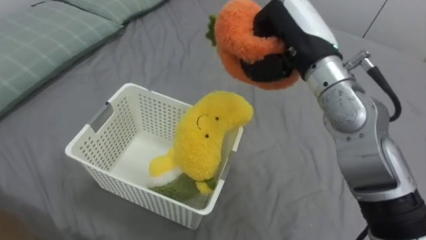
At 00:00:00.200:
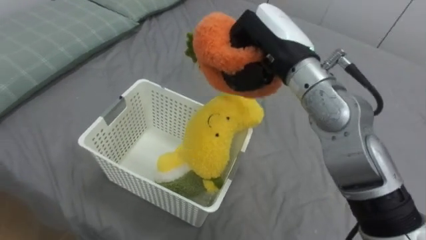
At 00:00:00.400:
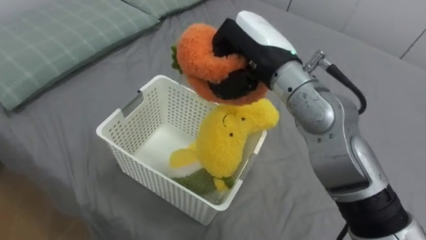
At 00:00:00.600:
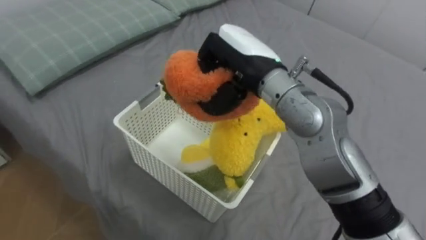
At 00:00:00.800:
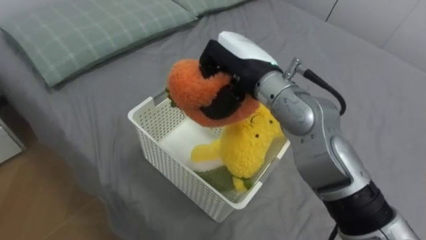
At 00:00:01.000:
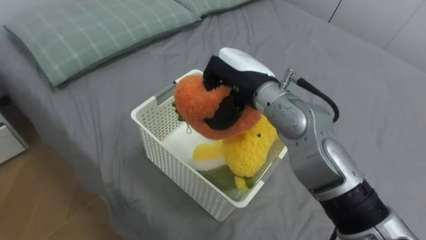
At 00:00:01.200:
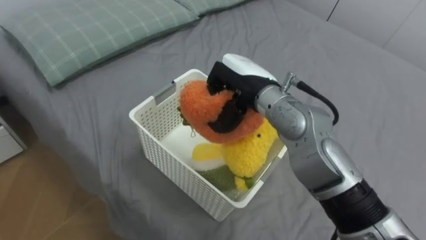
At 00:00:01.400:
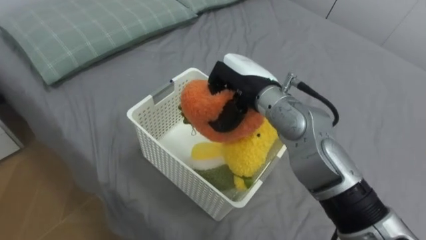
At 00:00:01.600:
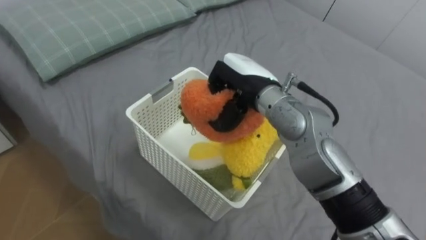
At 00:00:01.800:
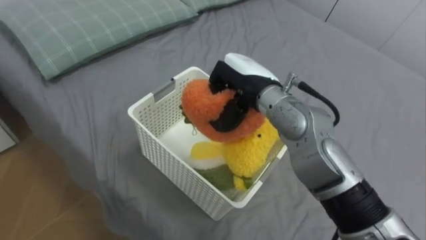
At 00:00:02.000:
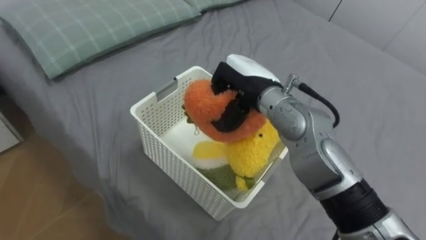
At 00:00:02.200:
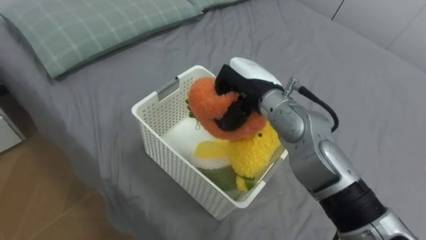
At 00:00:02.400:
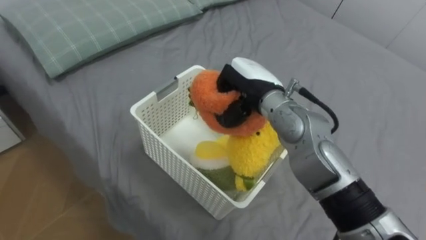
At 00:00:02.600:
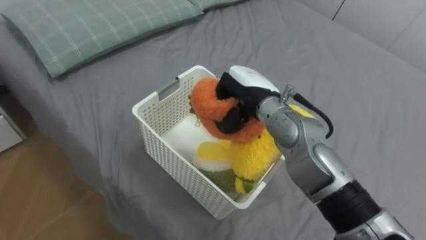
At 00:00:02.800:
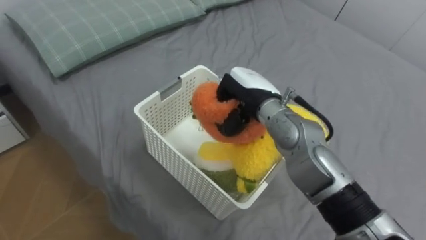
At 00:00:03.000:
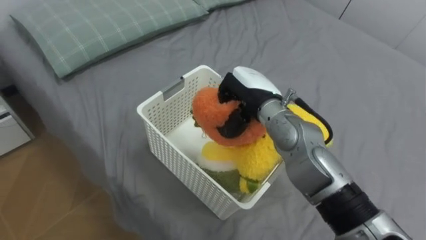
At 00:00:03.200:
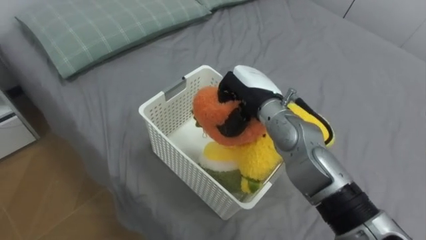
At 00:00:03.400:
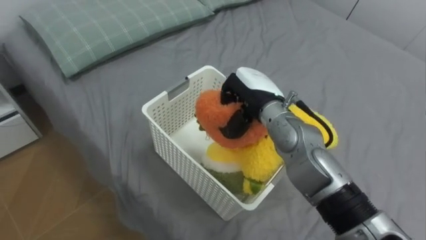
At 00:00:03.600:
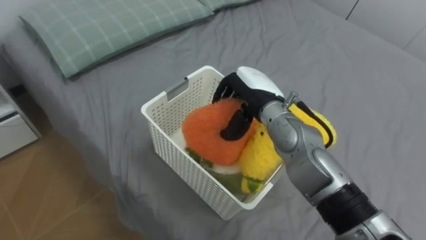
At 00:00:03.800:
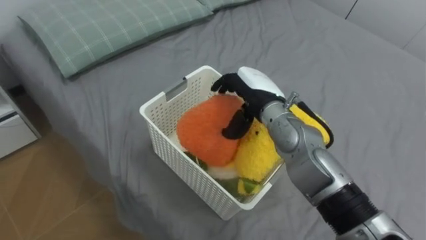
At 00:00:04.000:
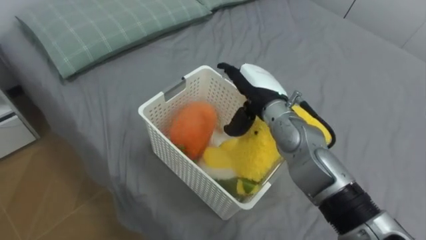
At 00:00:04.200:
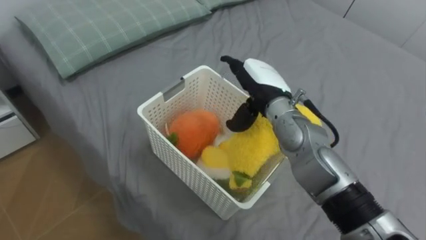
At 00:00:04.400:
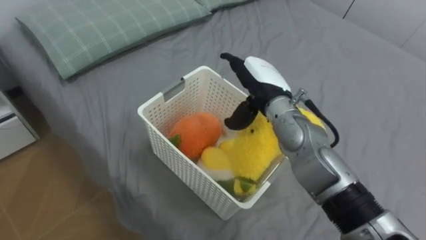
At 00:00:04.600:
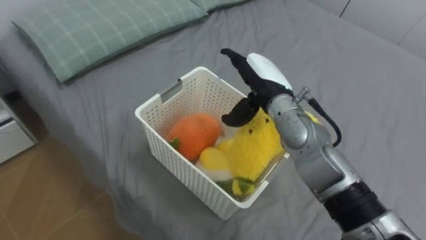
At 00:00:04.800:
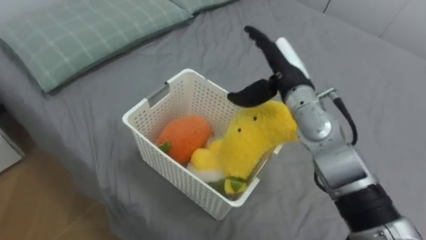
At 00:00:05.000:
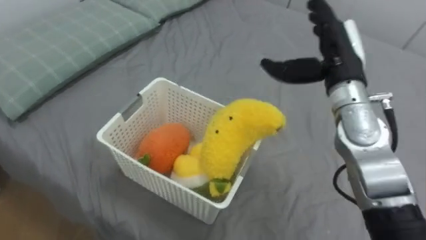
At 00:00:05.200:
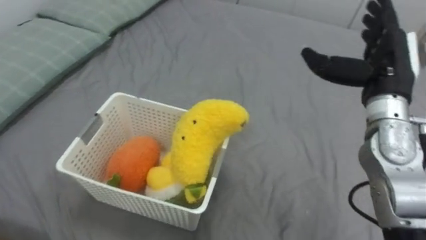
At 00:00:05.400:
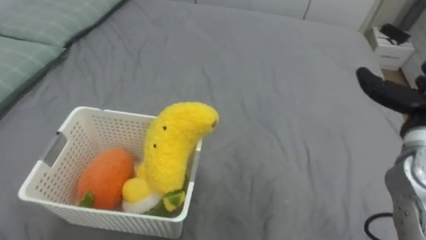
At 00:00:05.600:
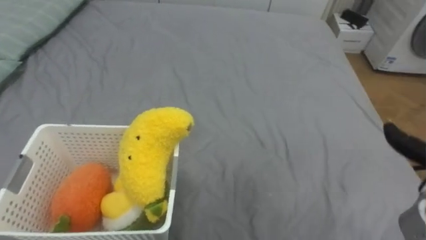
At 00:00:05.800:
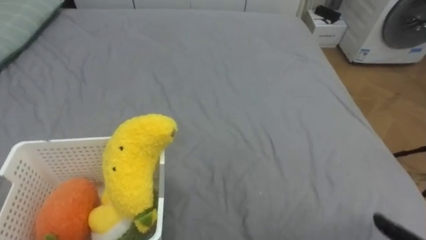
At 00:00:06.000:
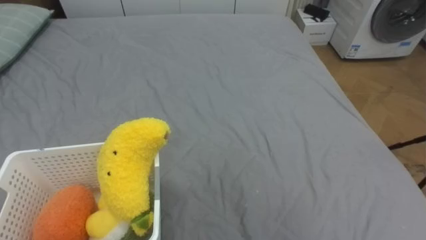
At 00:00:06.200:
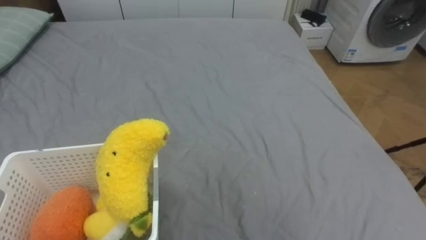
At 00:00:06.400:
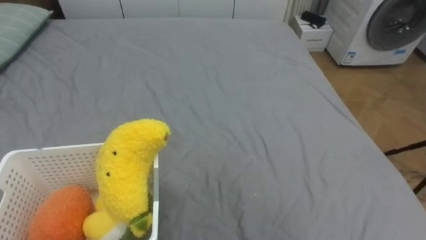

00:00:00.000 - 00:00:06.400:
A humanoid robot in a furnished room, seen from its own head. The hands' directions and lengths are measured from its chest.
Task of the whole recording: Put the toys on the bed into the basket on the left.
00:00:00.000 - 00:00:01.600: The right hand is displaced downward and to the left by roughly 10 cm.
00:00:03.200 - 00:00:04.800: The right hand travels to the right by about 5 cm, and opens its fingers.

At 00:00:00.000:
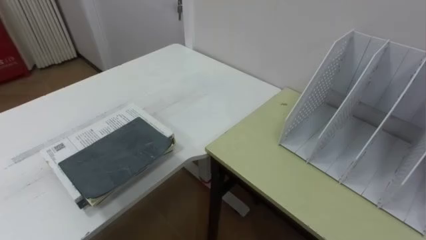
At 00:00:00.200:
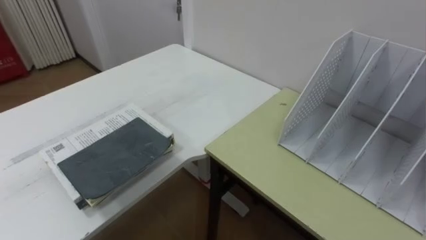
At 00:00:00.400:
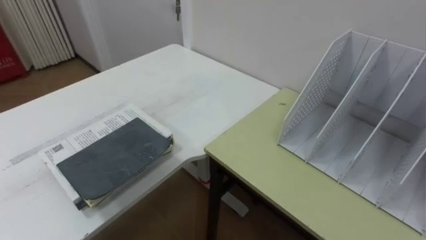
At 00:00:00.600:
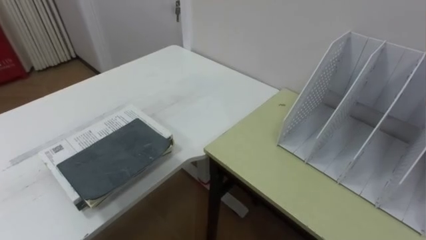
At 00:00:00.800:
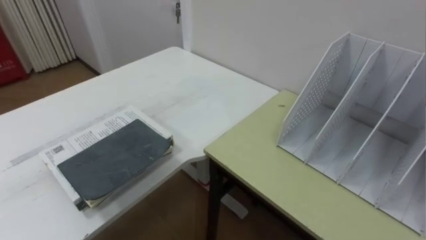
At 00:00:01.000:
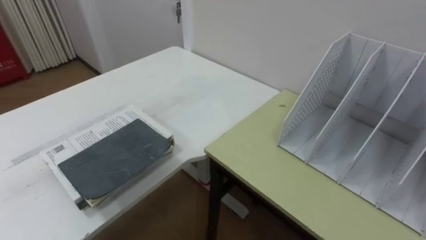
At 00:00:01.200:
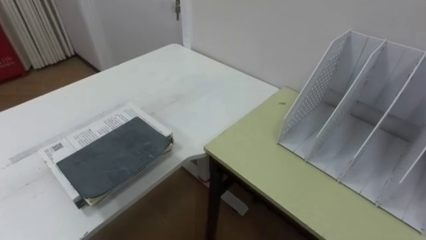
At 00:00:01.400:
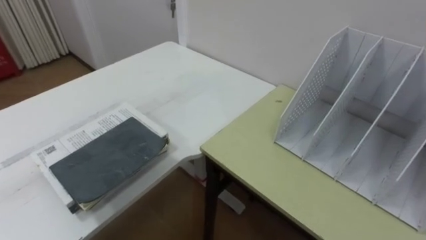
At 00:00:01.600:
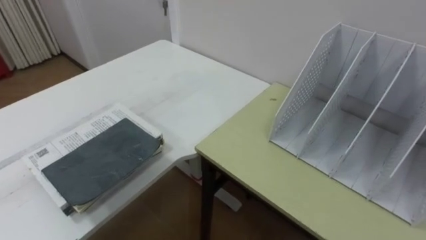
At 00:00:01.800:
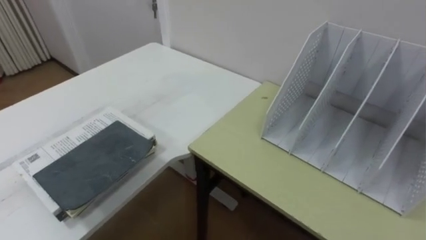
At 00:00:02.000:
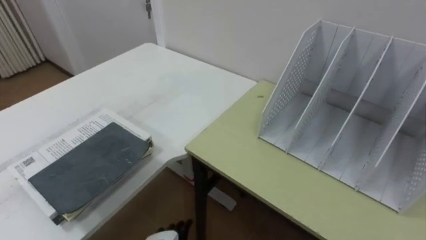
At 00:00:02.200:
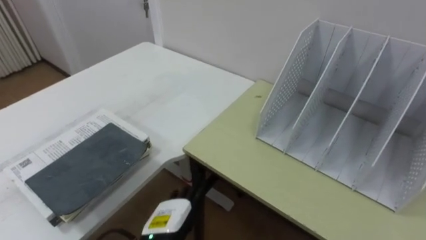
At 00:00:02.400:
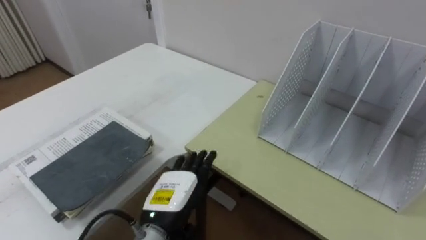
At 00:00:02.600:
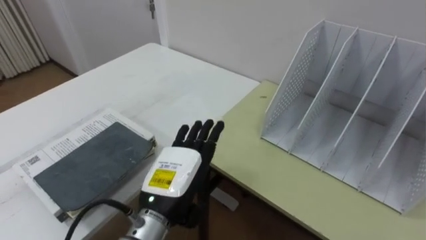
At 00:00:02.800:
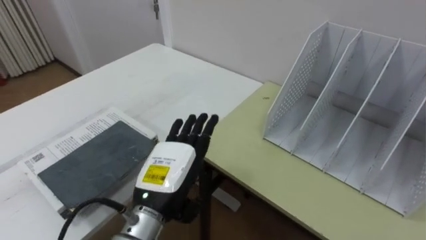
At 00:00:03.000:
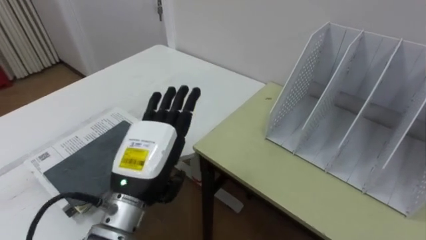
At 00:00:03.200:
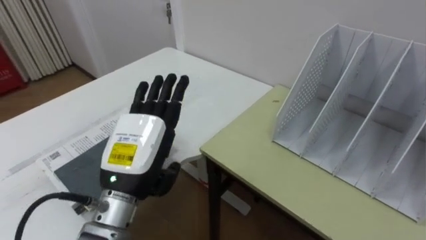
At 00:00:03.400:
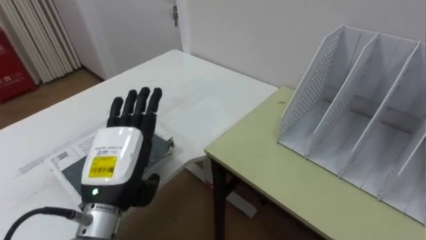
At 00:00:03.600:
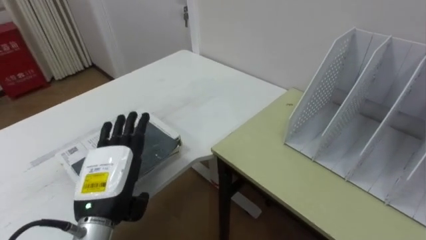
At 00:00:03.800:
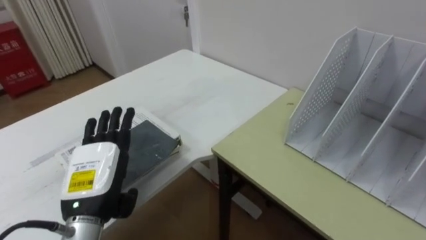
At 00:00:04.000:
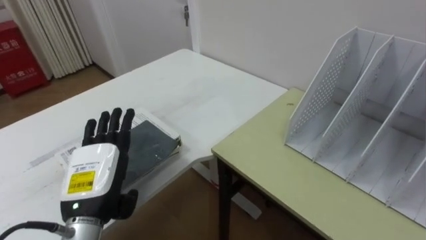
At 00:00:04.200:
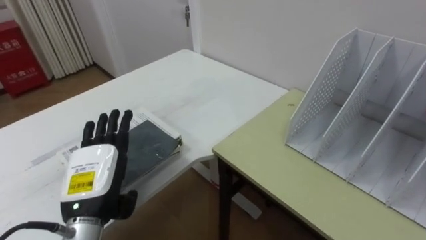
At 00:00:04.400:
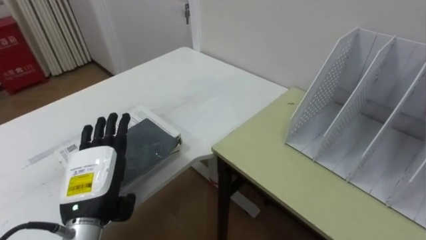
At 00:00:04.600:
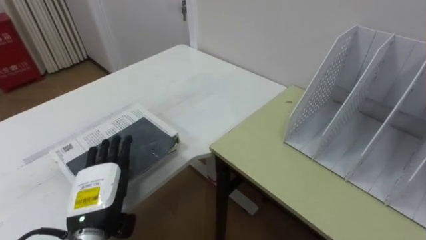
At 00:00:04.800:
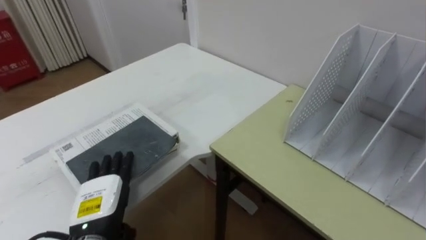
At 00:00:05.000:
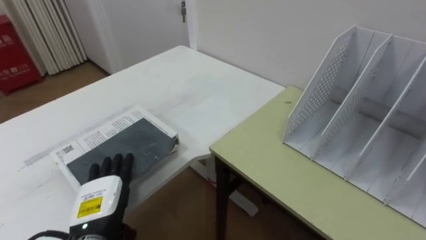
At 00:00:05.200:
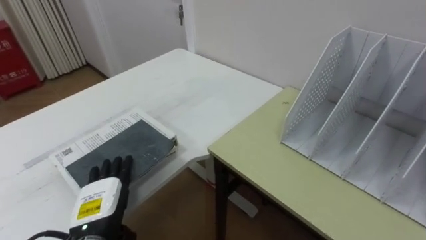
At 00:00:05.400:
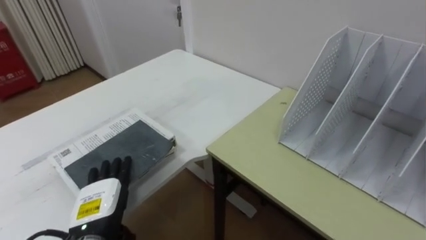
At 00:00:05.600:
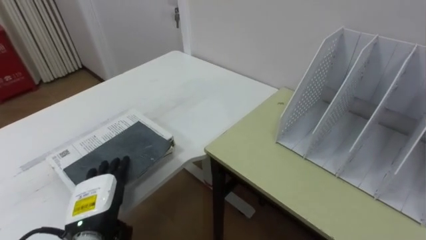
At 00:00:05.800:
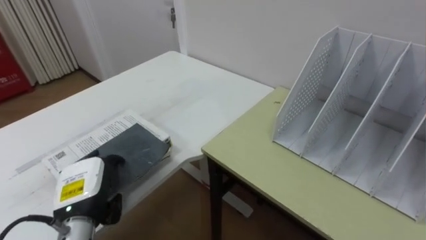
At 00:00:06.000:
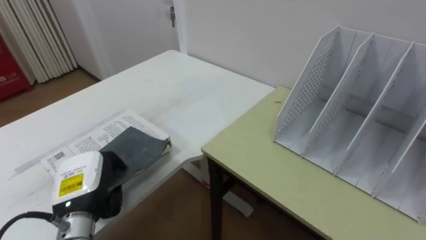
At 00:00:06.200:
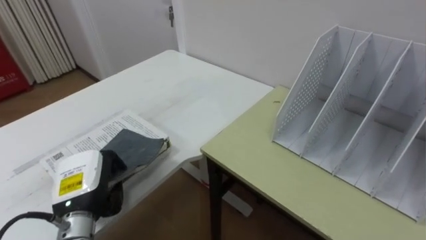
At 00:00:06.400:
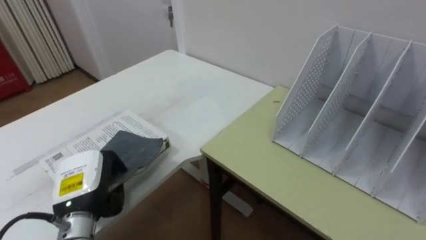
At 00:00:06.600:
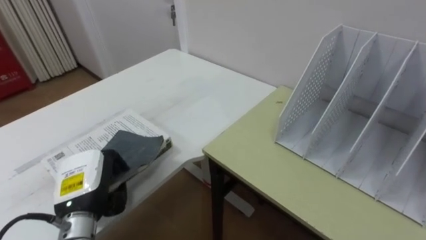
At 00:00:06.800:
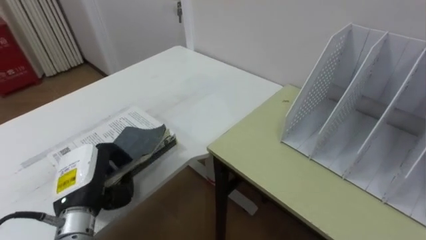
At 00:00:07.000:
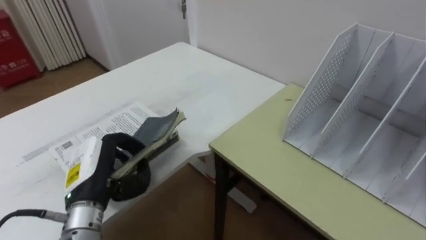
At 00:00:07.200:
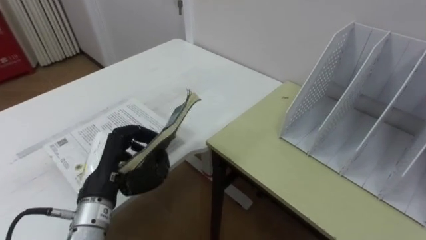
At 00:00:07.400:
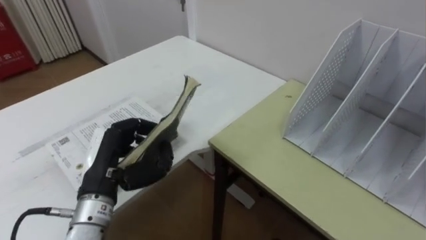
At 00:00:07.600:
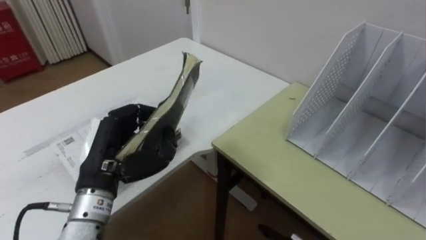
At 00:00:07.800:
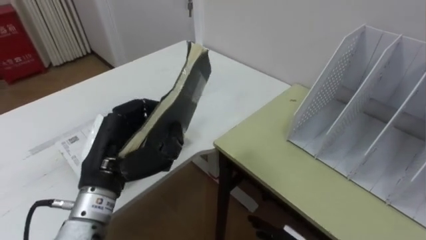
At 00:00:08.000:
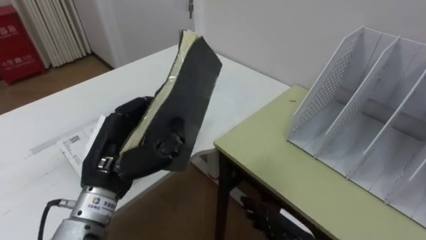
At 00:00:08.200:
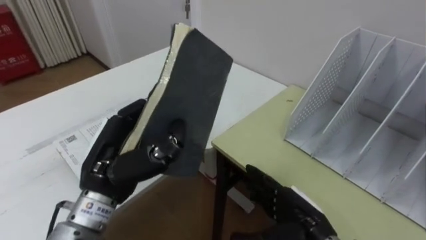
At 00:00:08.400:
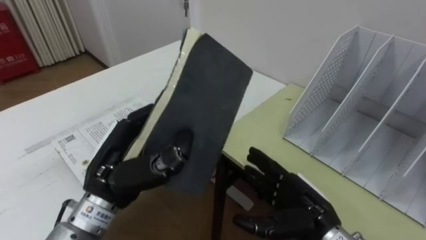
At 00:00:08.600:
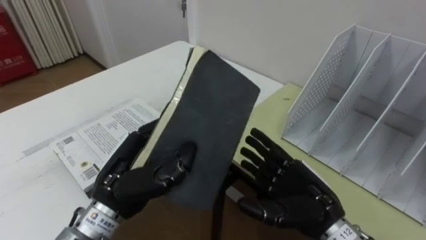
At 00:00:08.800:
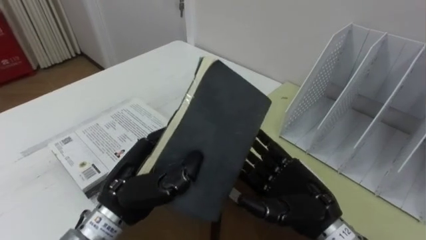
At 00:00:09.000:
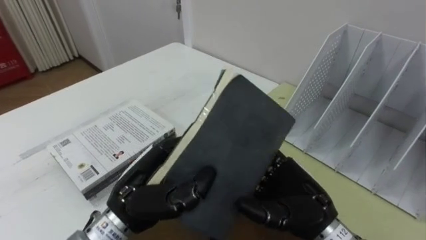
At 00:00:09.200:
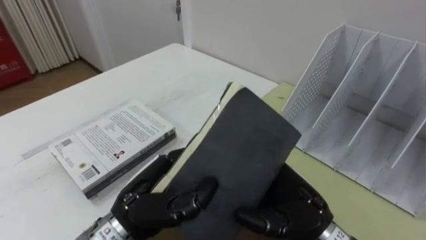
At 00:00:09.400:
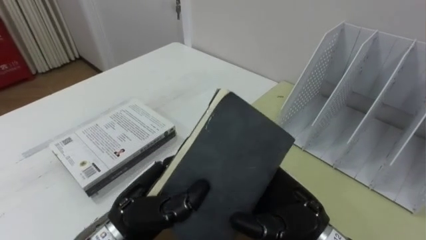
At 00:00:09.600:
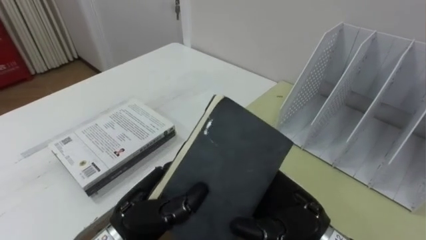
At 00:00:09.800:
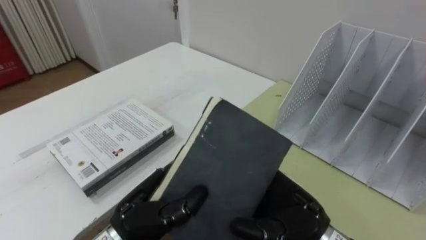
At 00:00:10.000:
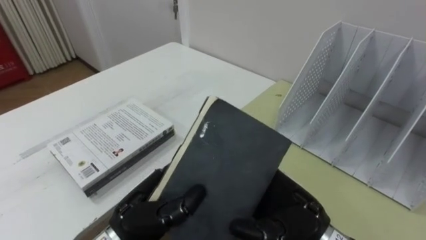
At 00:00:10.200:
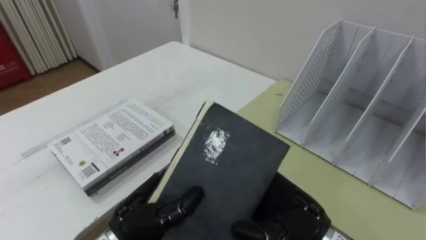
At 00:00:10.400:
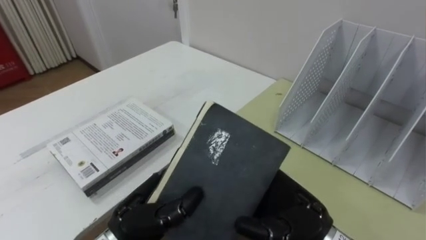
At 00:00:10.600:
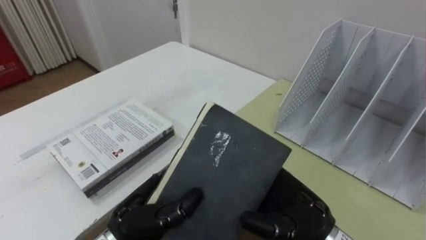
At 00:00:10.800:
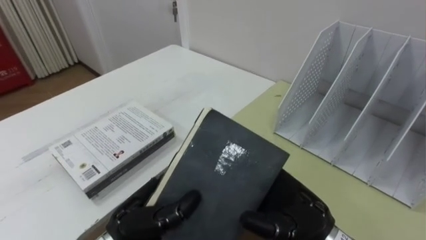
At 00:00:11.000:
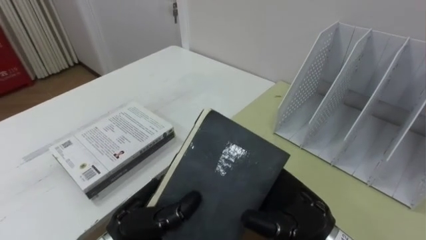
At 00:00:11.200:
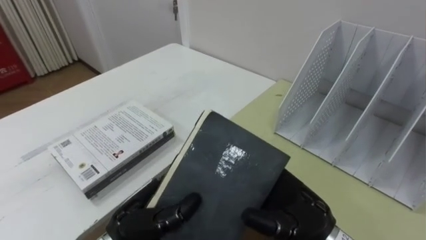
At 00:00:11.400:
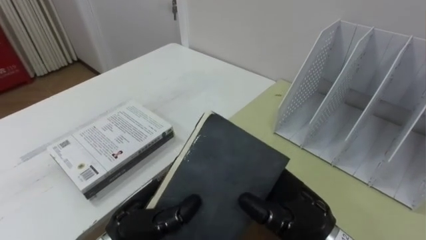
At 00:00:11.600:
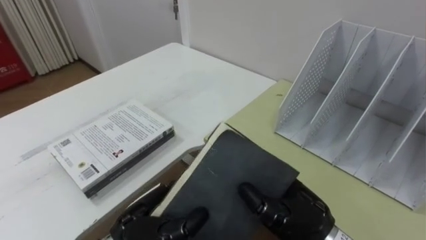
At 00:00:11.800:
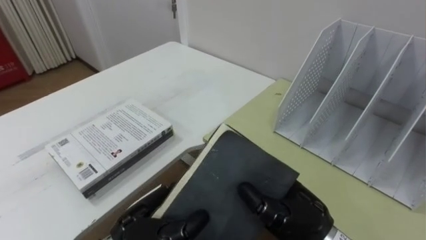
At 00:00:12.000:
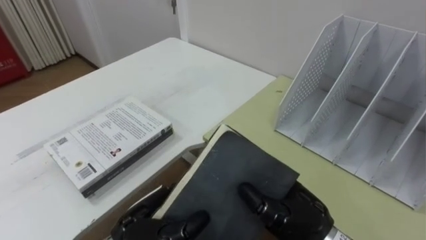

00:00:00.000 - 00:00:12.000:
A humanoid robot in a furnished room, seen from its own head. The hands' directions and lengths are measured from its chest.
Task of the whole recording: Put the books on the table onto the bookshelf.
00:00:03.000 - 00:00:04.400: The left hand shifts roughly 10 cm to the left.
00:00:04.400 - 00:00:06.000: The left hand closes its fingers.
00:00:06.000 - 00:00:07.600: The left hand goes roughly 10 cm upward and to the right.
00:00:07.600 - 00:00:09.000: The left hand travels to the right by some 5 cm.
00:00:09.000 - 00:00:10.400: The left hand is displaced downward by some 5 cm.
00:00:10.400 - 00:00:12.000: The right hand closes.
